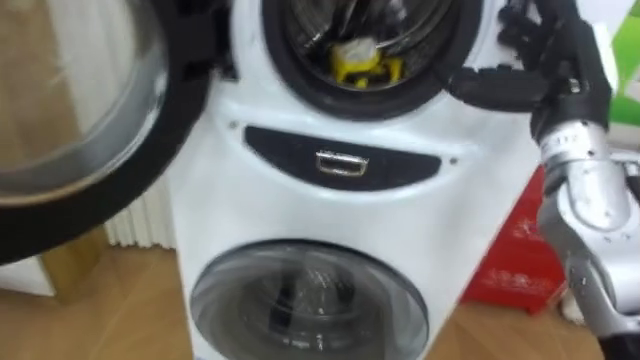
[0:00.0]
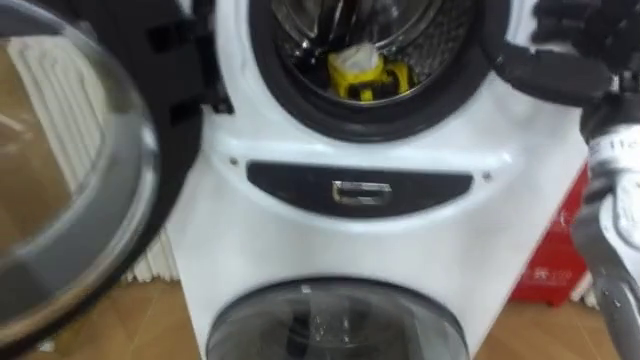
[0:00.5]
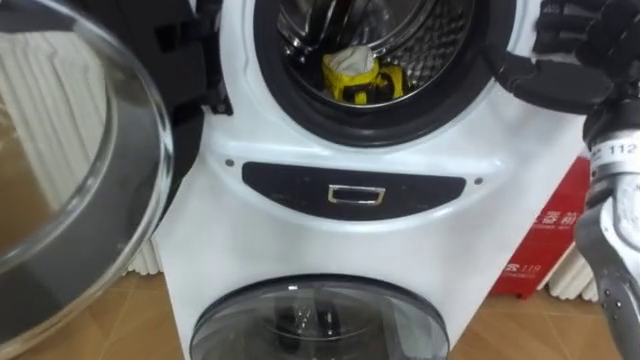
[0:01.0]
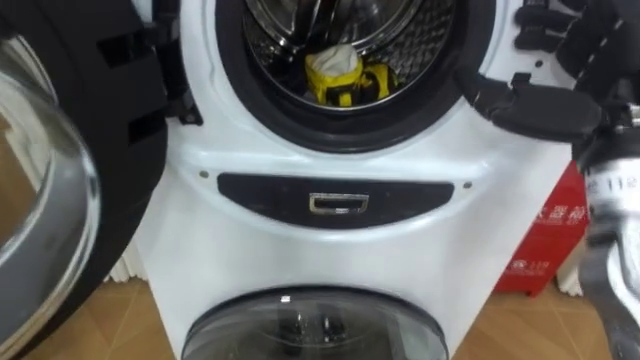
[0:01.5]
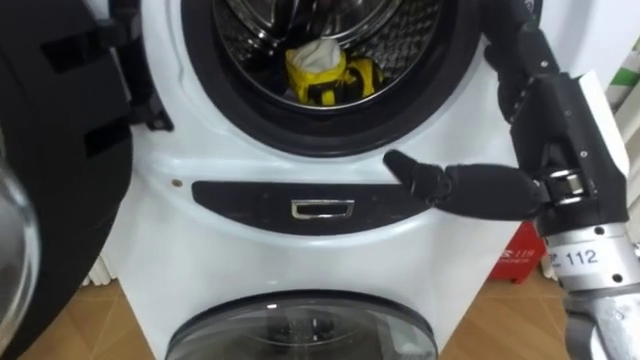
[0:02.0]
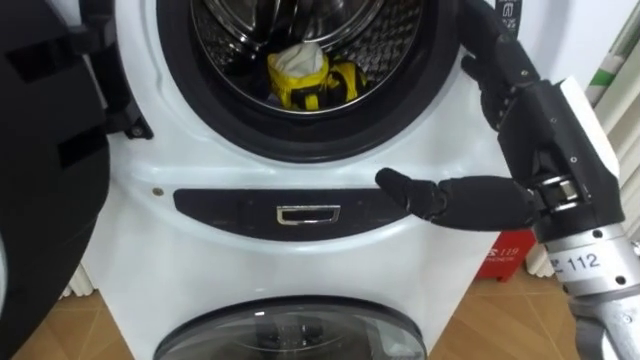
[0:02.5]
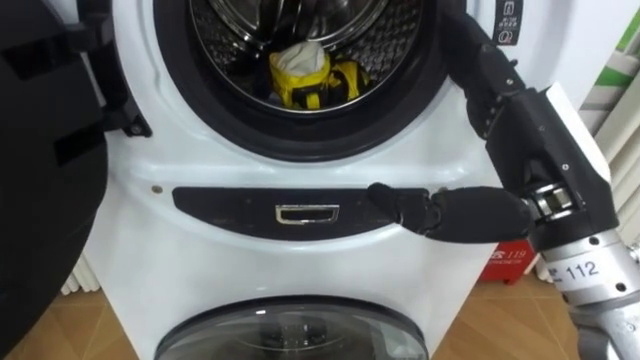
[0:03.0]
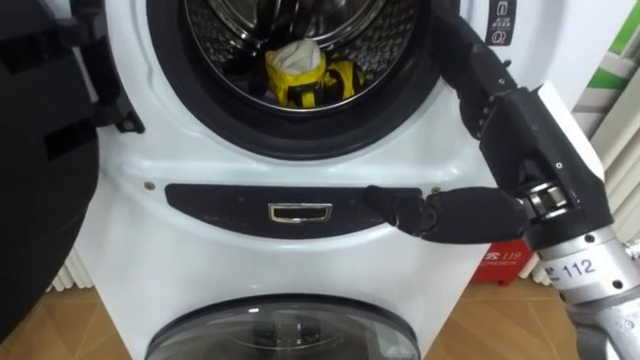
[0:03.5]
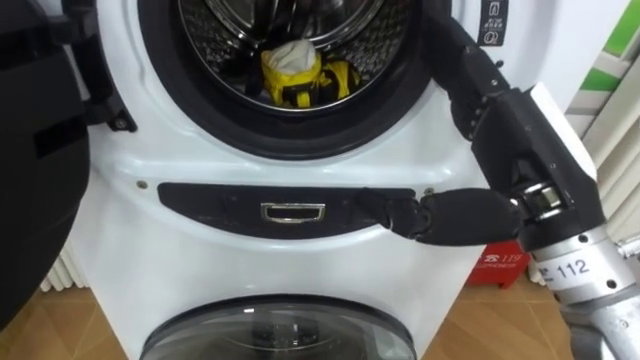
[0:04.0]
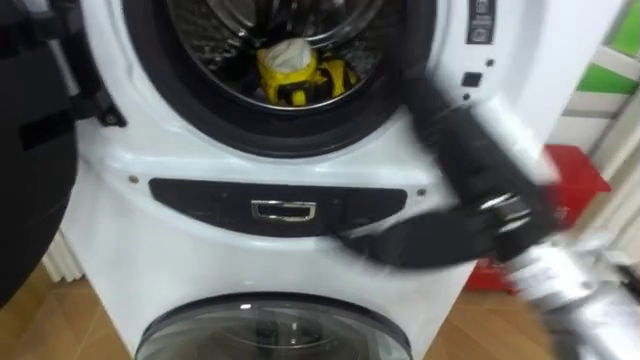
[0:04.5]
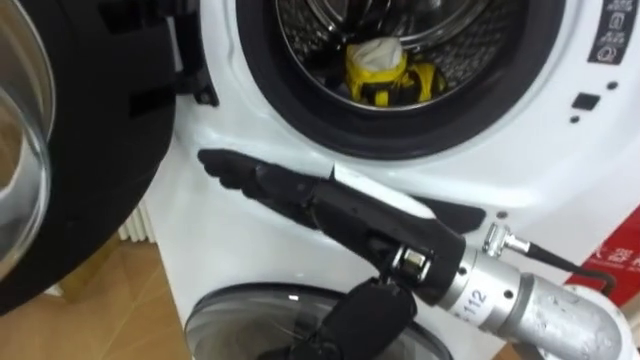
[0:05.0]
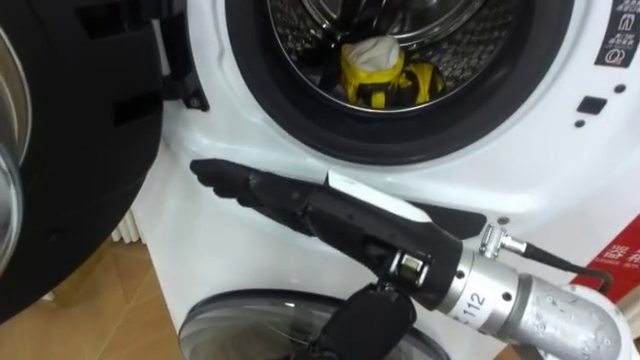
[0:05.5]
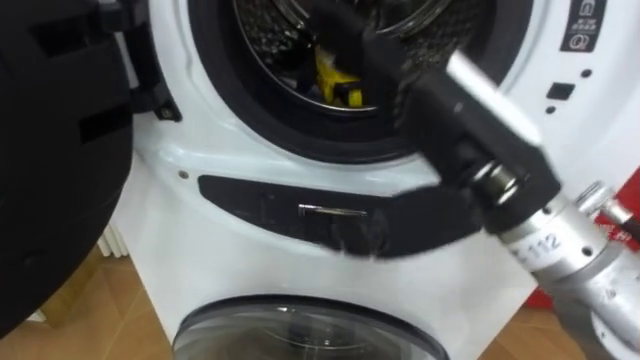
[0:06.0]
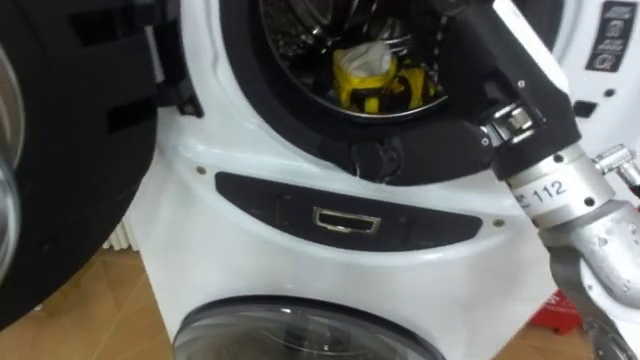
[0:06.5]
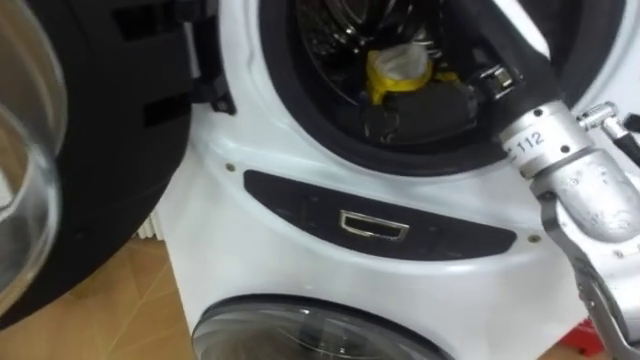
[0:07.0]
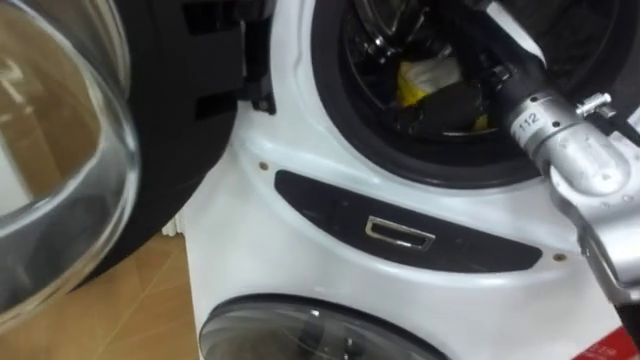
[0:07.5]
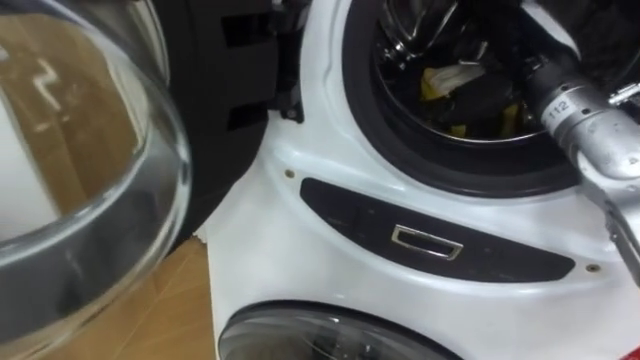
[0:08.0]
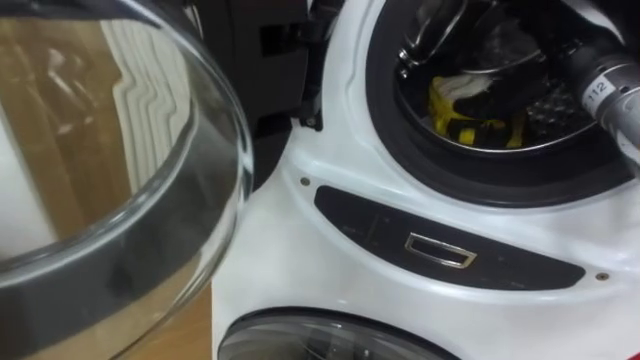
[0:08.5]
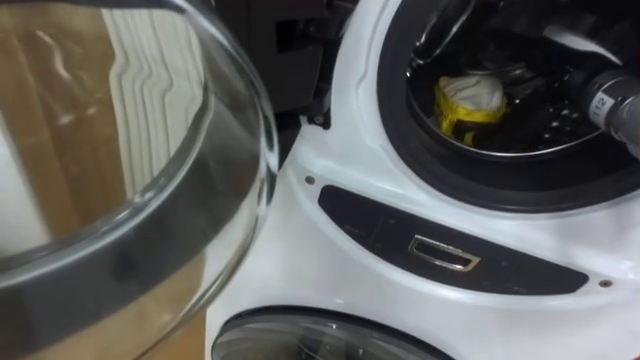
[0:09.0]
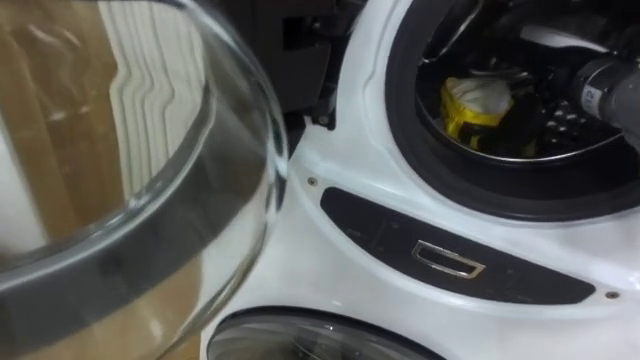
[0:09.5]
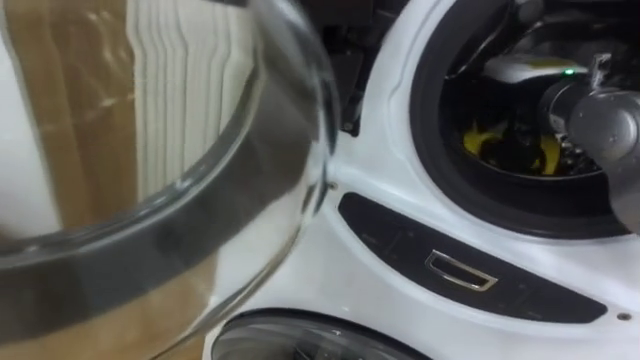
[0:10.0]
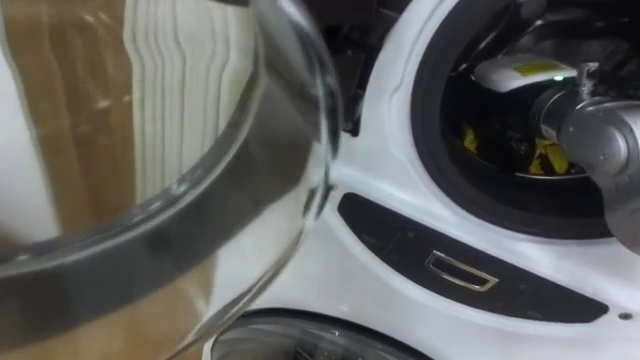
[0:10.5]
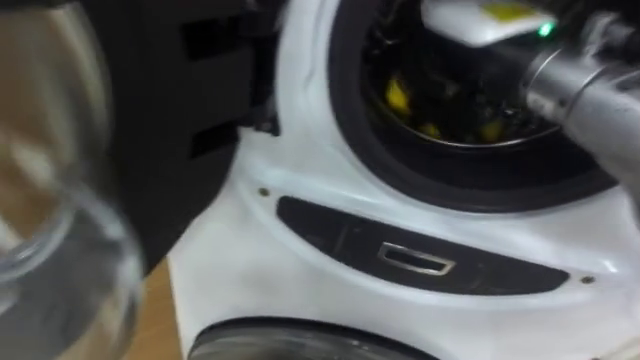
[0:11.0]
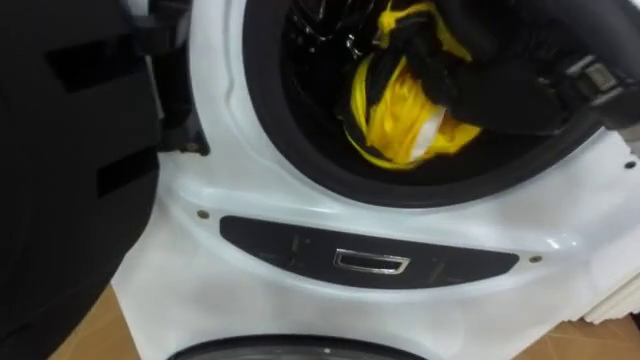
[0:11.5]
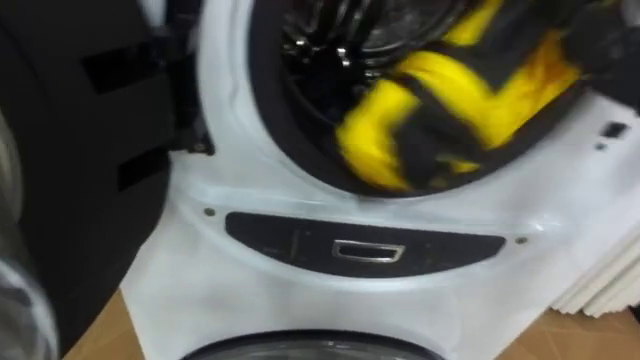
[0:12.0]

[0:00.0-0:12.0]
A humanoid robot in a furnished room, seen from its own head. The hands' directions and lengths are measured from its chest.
Task of the whole recording: Open the washing machine door, take out the yellow clothes, place them in the box on the right, and close the washing machine door.
0:00.0 to 0:02.0: The right hand heads backward and to the left, covering roughly 10 cm.
0:06.0 to 0:08.0: The right hand heads forward and to the right, covering approximately 20 cm.
0:08.0 to 0:10.0: The right hand closes up.

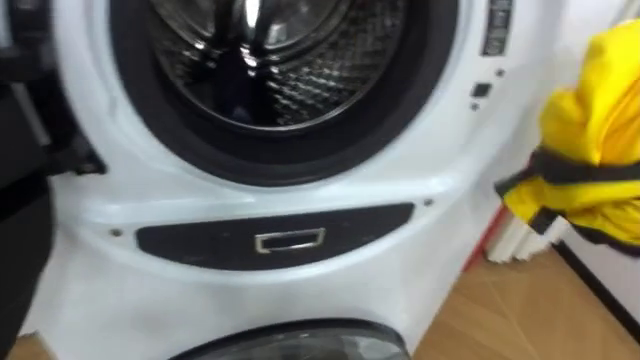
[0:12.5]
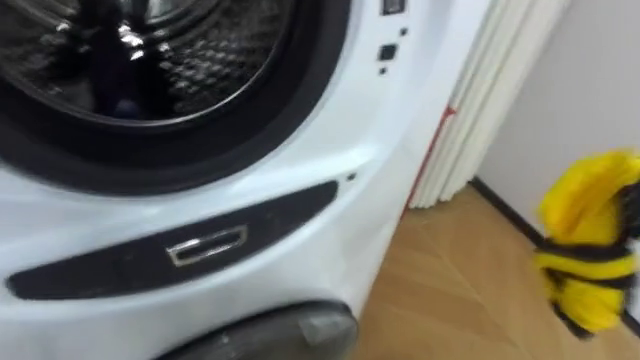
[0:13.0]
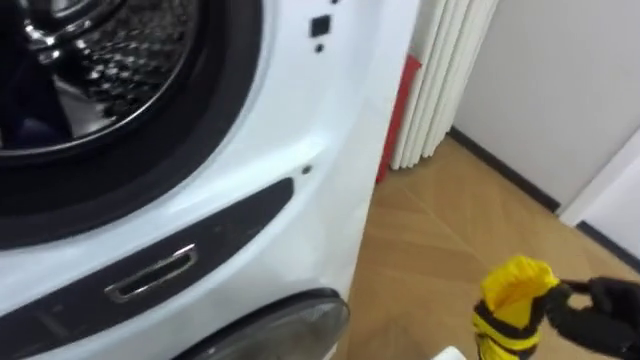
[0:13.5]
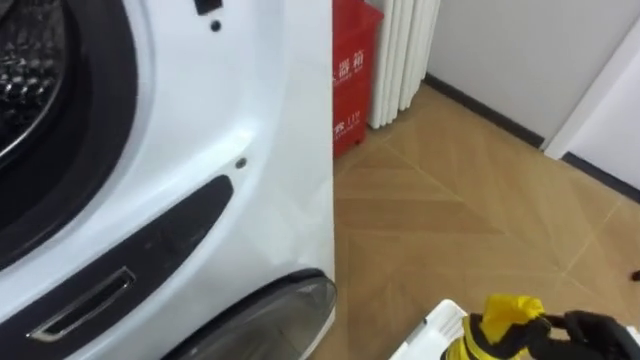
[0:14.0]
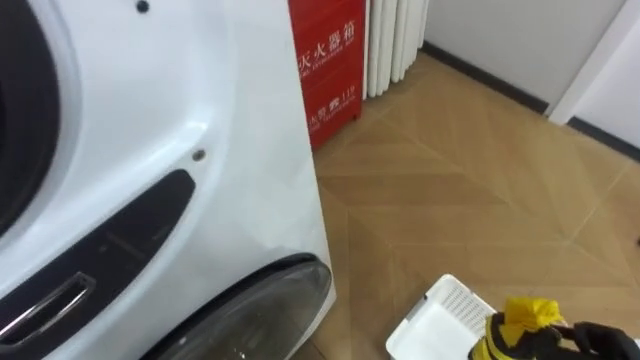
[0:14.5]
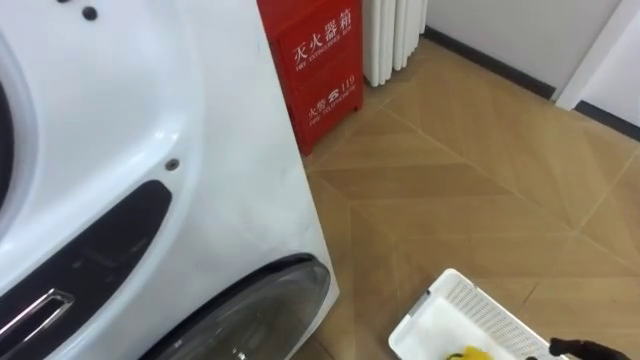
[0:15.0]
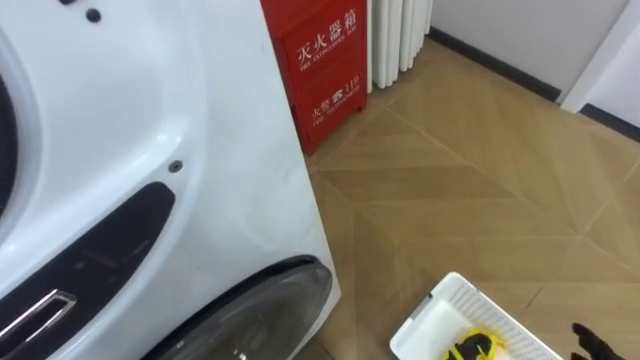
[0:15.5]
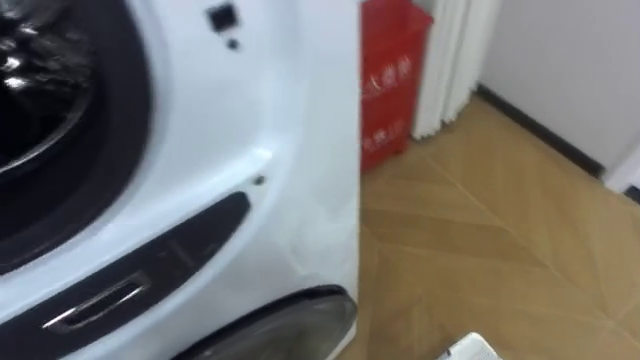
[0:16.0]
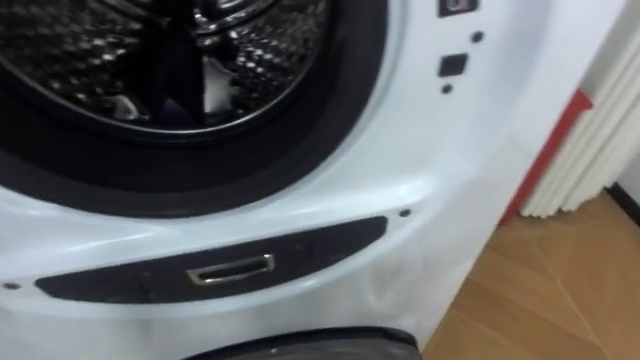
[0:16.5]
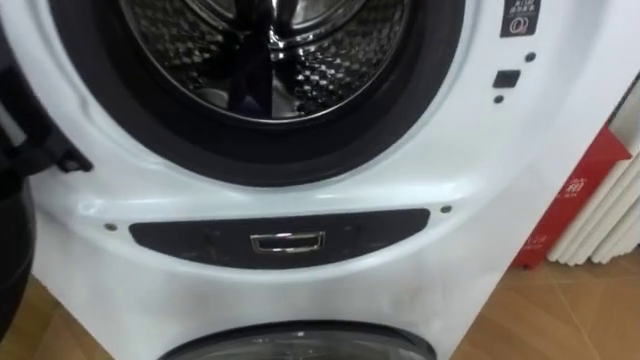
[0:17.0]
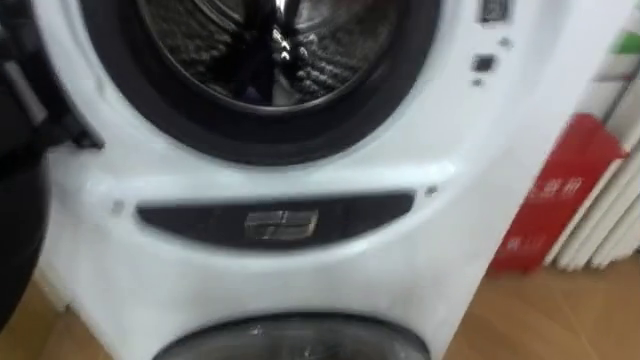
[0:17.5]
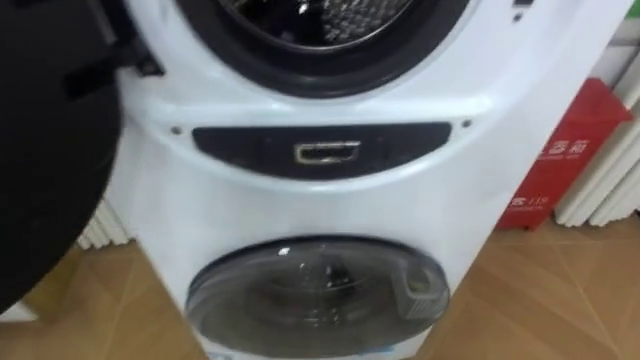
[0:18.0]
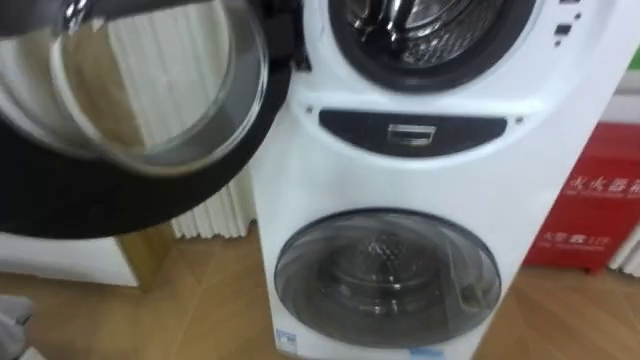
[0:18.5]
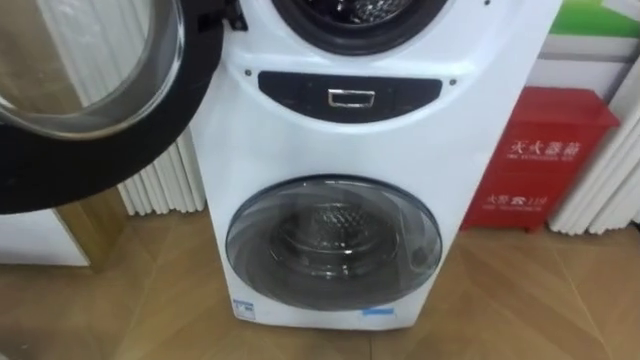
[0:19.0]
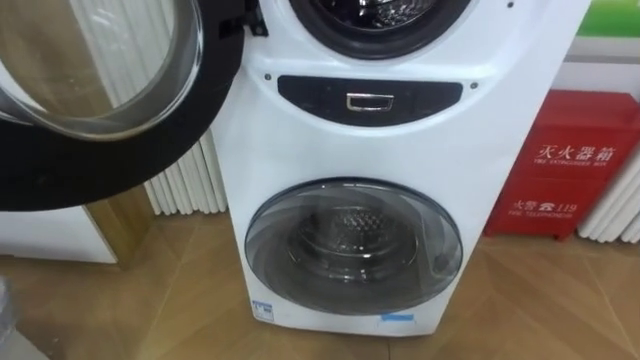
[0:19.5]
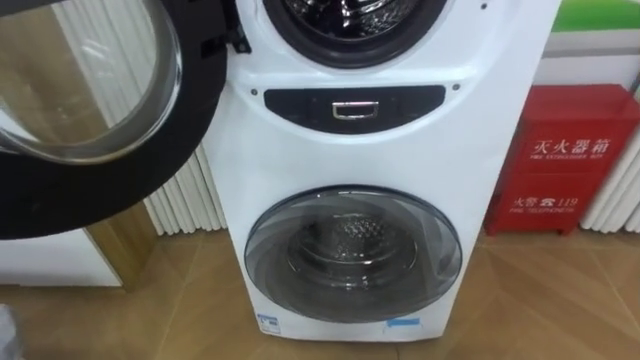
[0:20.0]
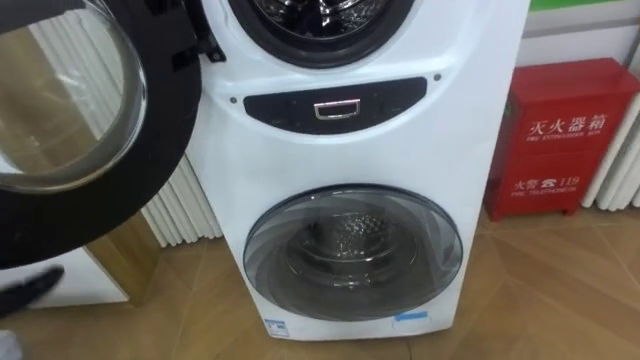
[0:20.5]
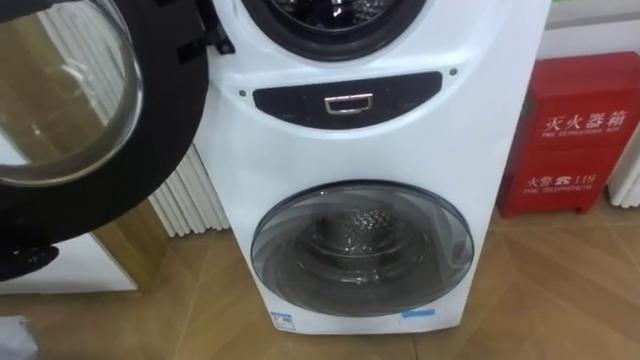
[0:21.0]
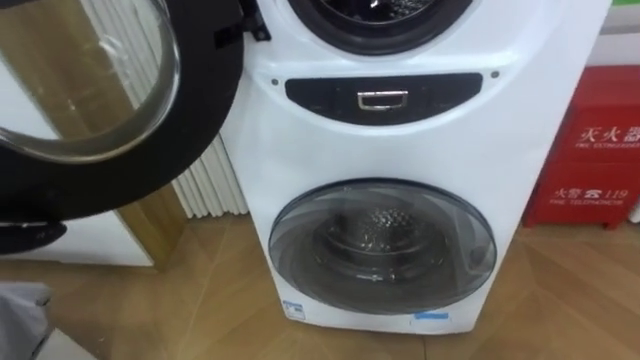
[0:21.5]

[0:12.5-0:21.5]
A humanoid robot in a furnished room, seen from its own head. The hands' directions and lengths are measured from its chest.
Task of the whole recording: Open the washing machine door, take out the yellow clothes, place them in the box on the right, and close the washing machine door.
0:12.5 to 0:14.5: The robot's body swings some 25 degrees to its right.
